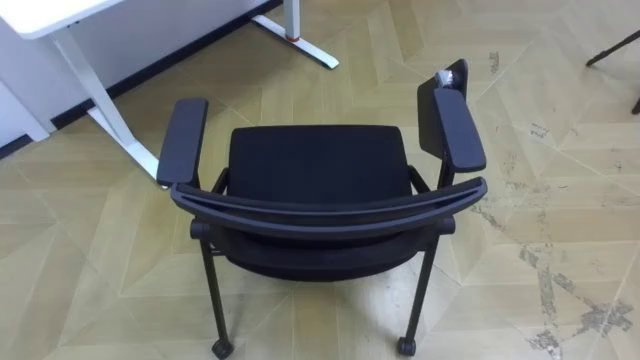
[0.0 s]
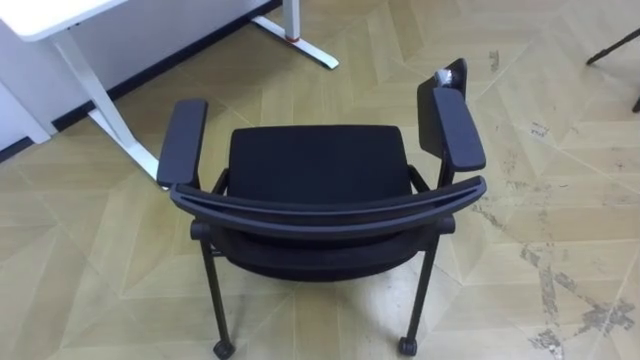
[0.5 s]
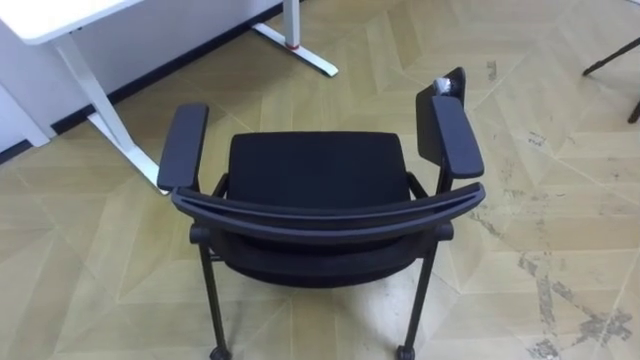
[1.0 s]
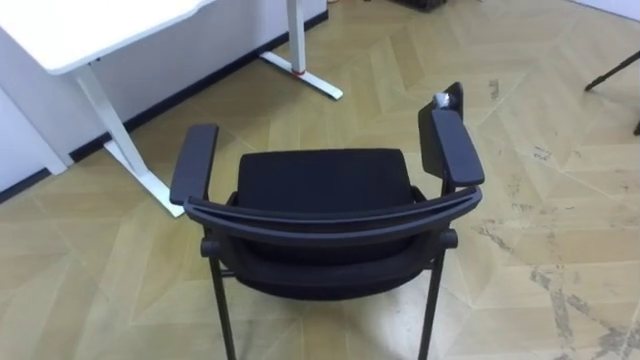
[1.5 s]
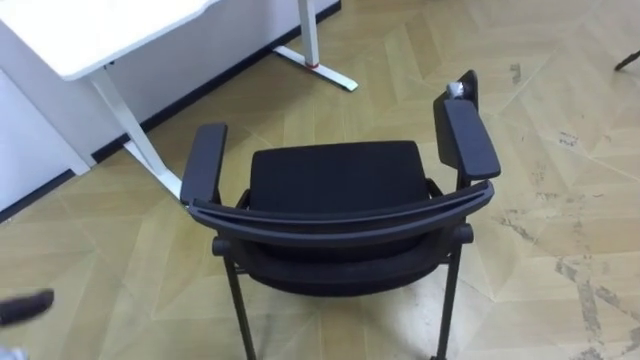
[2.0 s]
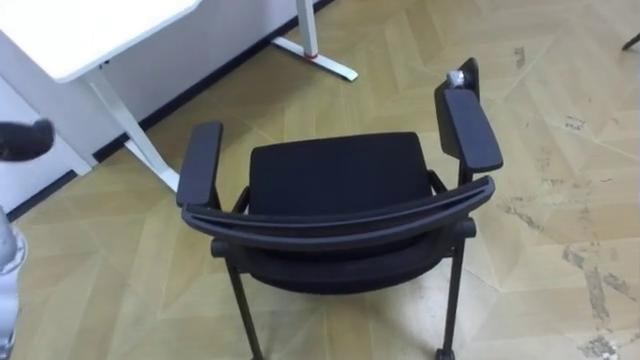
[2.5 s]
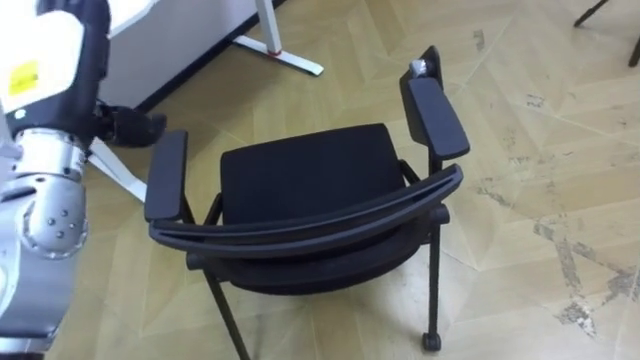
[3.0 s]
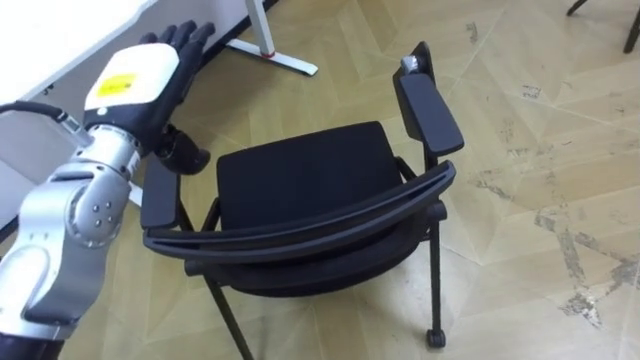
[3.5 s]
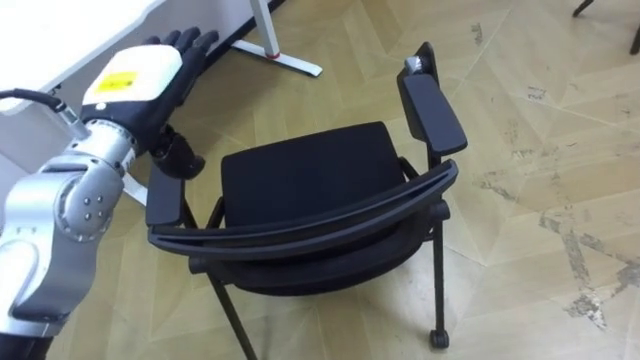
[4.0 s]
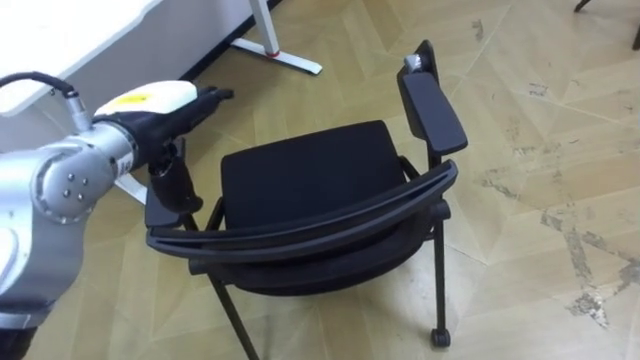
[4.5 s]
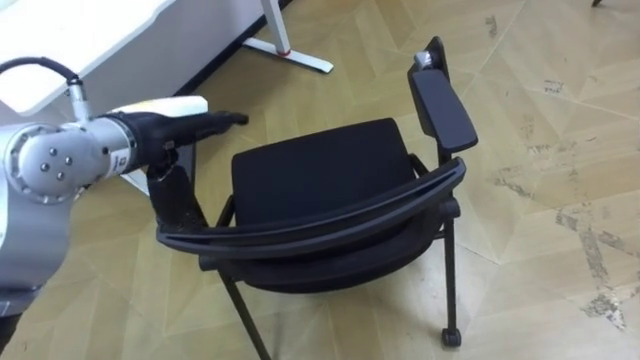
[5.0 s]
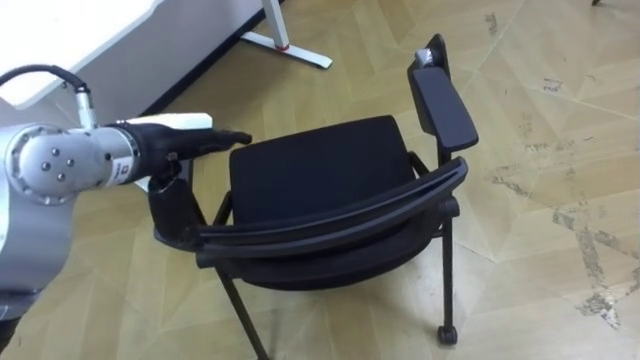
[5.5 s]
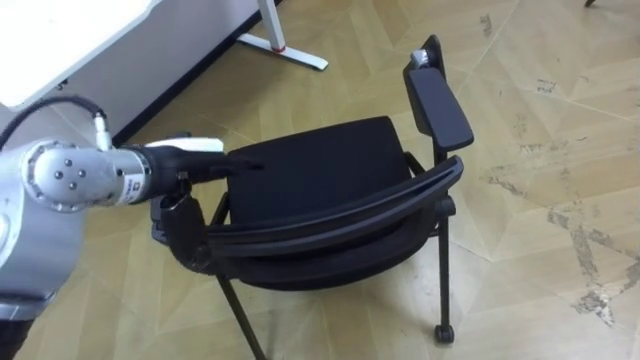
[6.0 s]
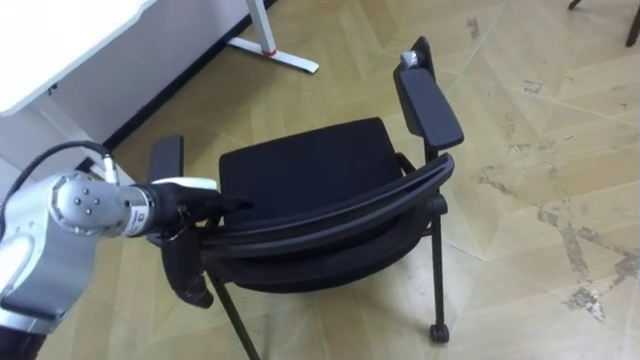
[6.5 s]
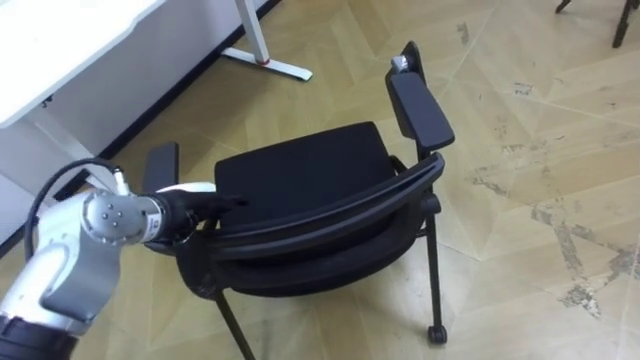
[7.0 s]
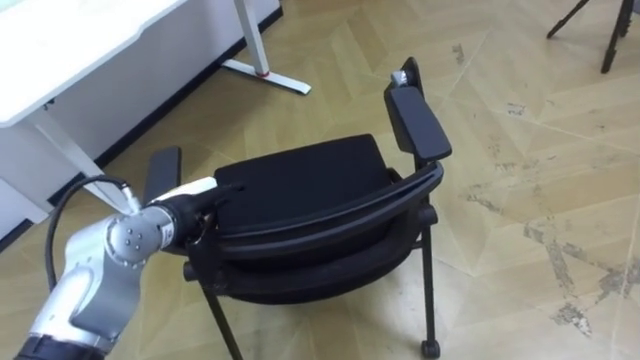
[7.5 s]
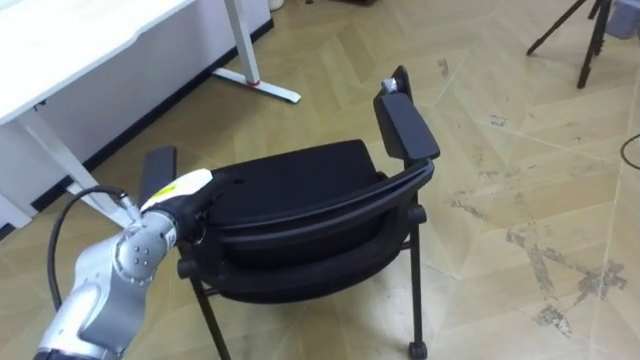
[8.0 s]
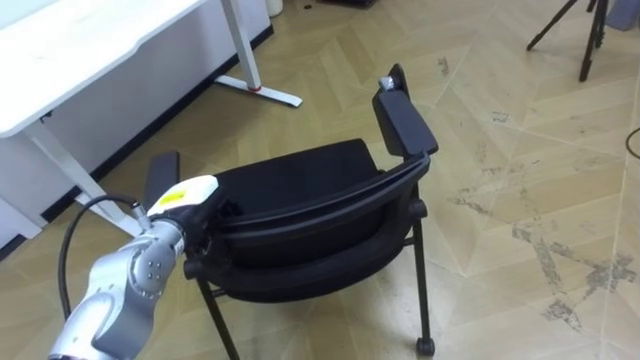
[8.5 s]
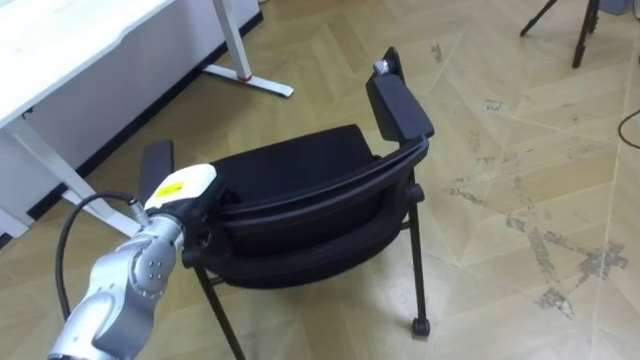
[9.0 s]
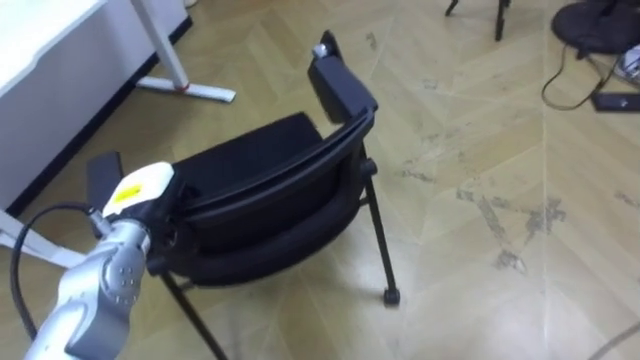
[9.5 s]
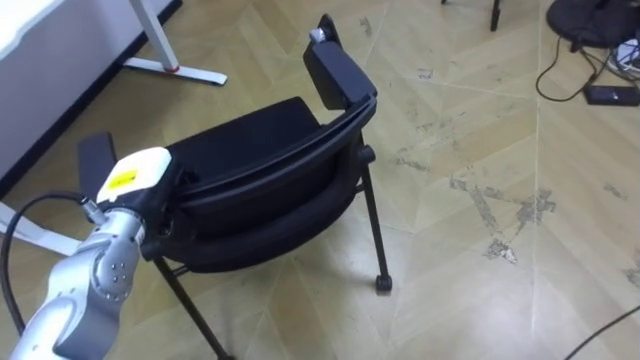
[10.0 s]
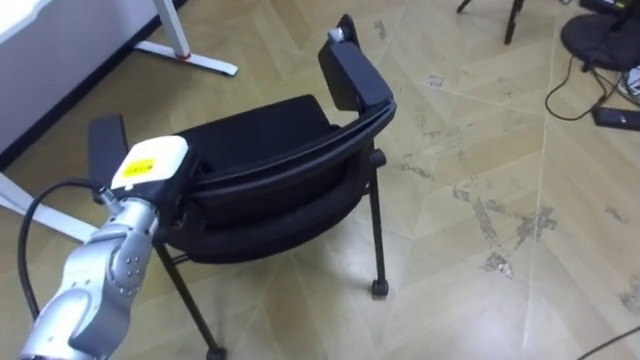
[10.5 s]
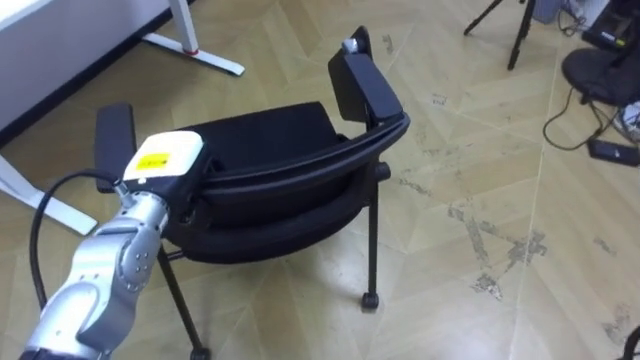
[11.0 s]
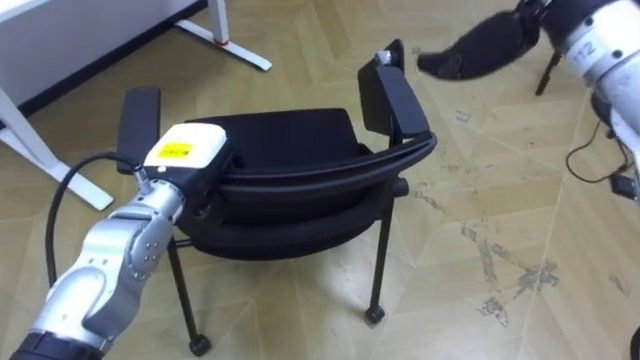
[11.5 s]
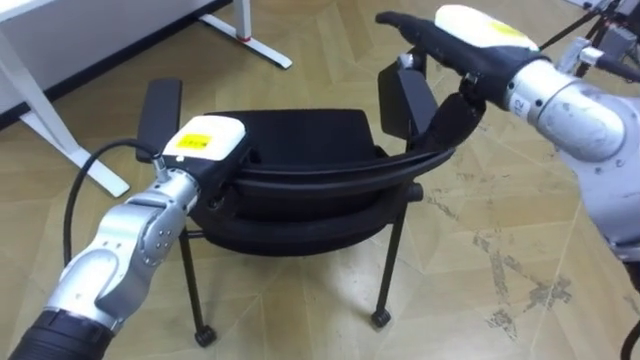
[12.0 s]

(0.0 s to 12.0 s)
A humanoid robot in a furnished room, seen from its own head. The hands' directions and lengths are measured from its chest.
Task of the whole recording: Push the chair under the table.
4.0 s - 6.0 s: The left hand travels downward by approximately 5 cm.
6.0 s - 8.0 s: The left hand heads downward, covering some 10 cm.
8.0 s - 10.0 s: The left hand shifts by about 5 cm, and closes.
10.0 s - 12.0 s: The left hand is displaced to the right by about 10 cm.

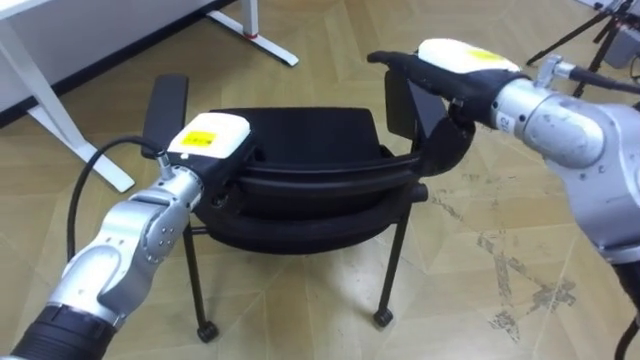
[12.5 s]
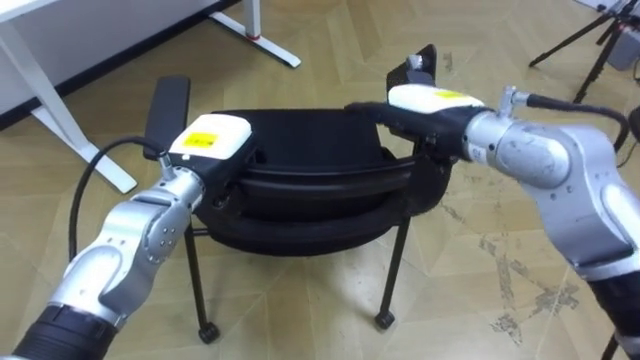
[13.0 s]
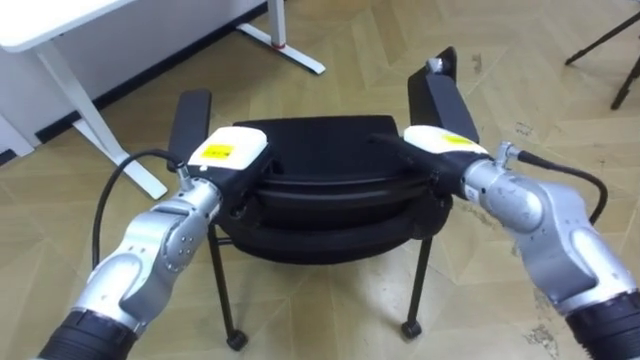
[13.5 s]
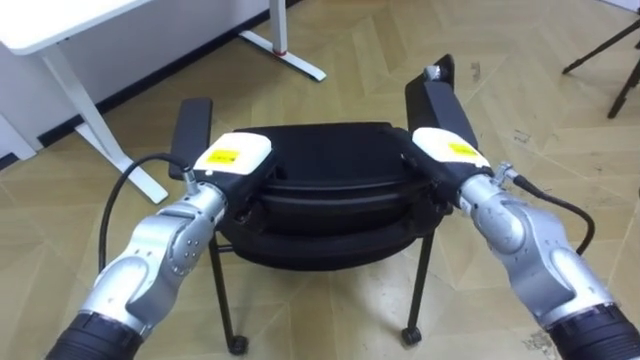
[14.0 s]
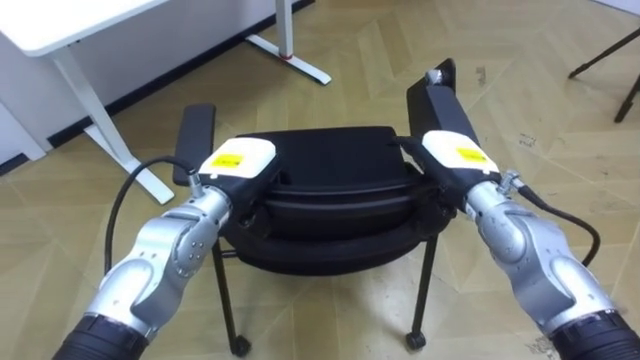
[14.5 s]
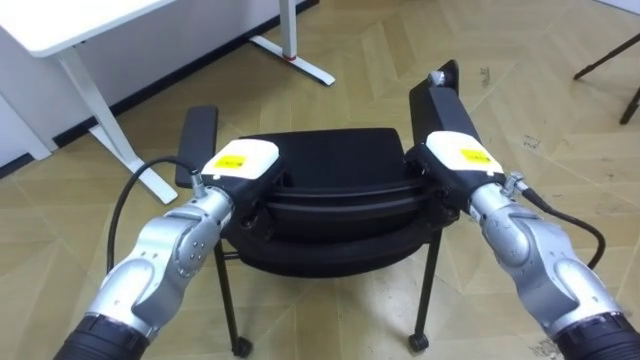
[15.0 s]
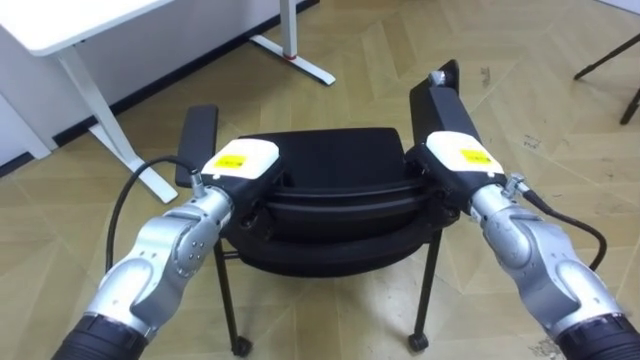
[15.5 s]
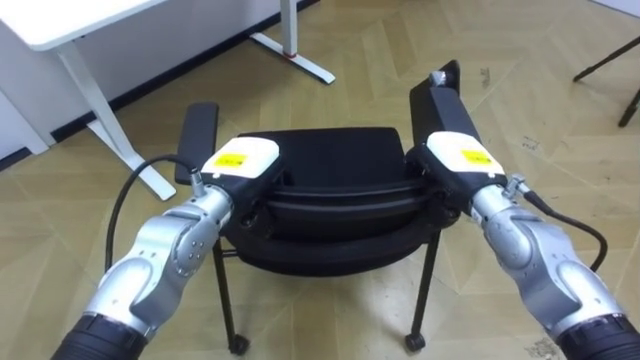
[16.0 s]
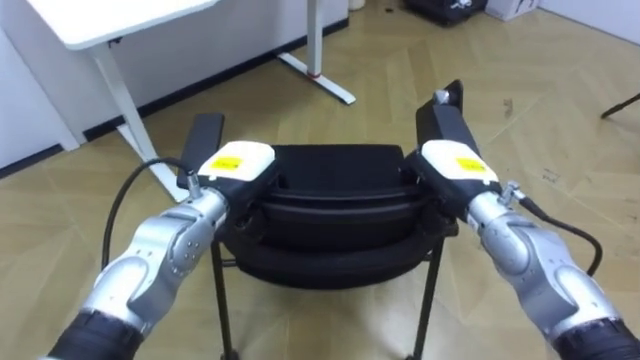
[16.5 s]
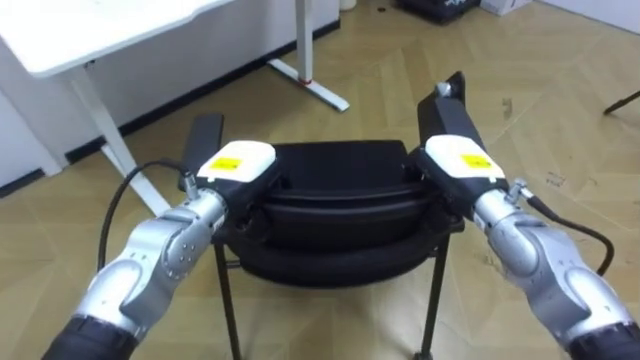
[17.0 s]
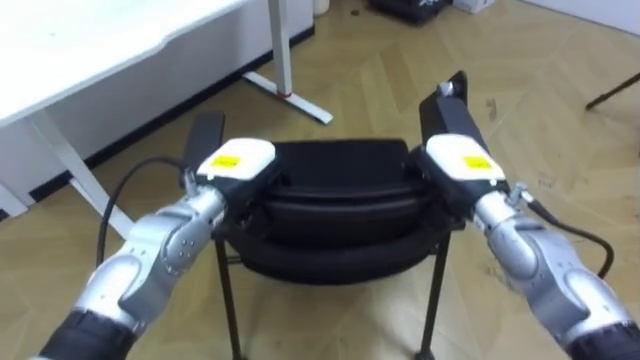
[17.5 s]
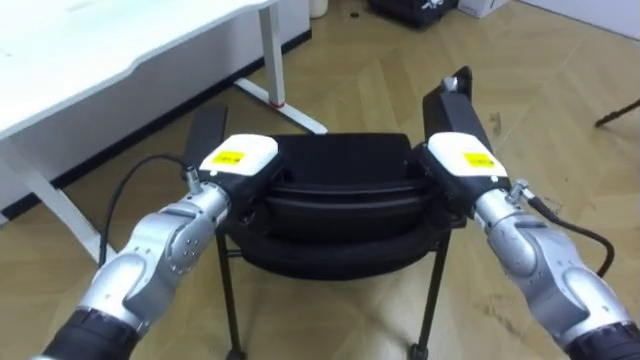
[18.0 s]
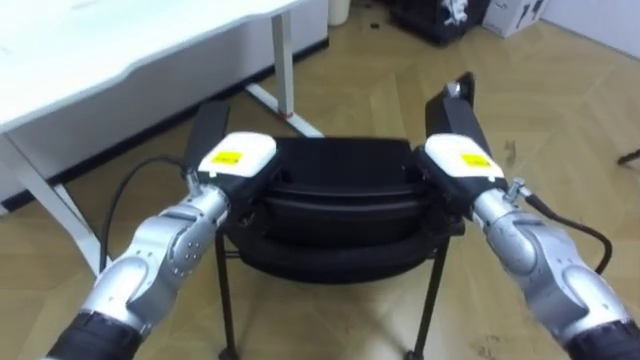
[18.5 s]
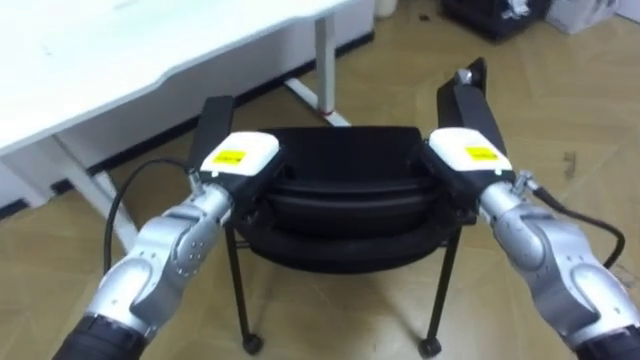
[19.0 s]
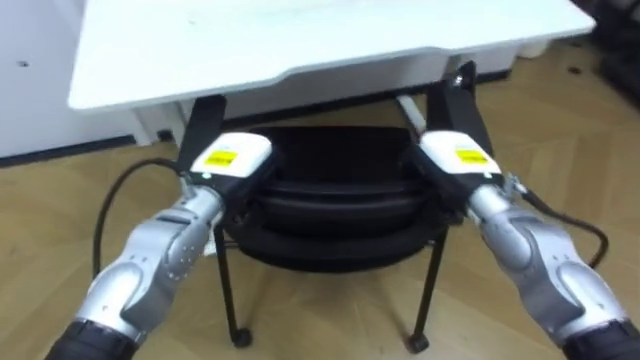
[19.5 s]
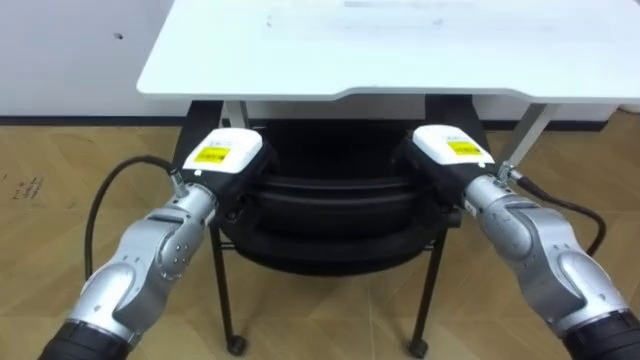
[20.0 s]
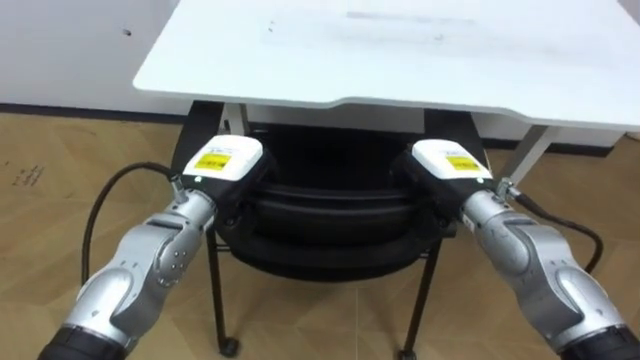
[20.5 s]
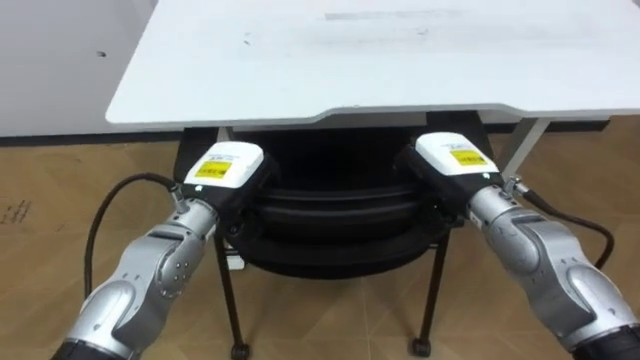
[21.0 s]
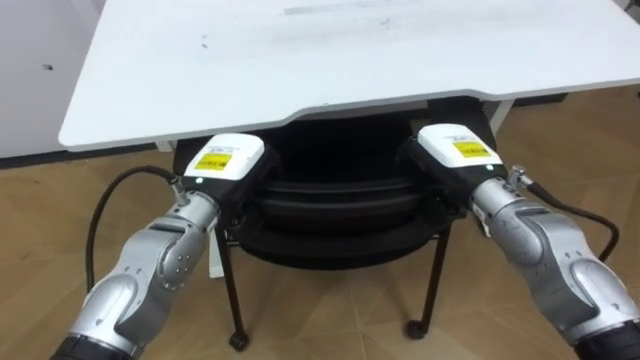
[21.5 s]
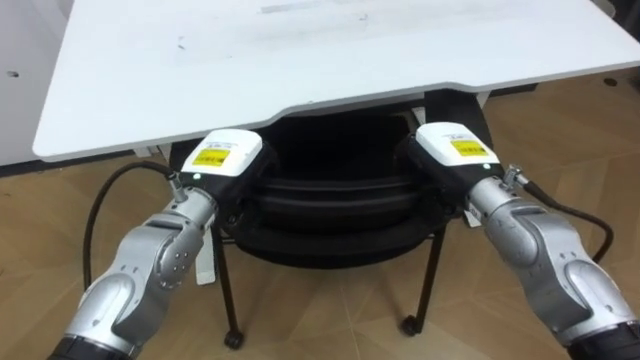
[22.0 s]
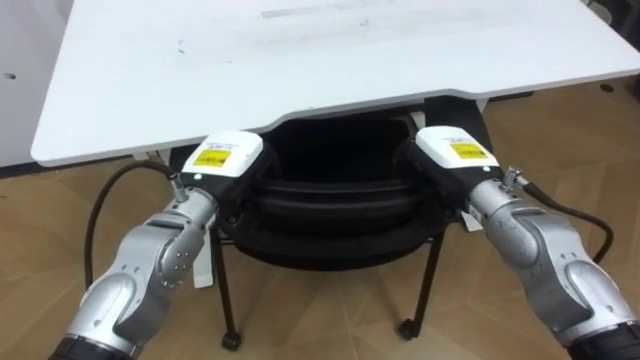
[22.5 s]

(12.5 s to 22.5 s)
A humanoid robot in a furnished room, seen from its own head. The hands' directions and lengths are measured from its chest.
Task of the whole recording: Push the chair under the table.
12.5 s - 14.5 s: The right hand travels downward by roughly 15 cm.
14.5 s - 16.5 s: The right hand closes up.
18.5 s - 20.5 s: The robot's body swings about 40 degrees to its left.
20.5 s - 22.5 s: The robot turns to its right by approximately 20 degrees.
